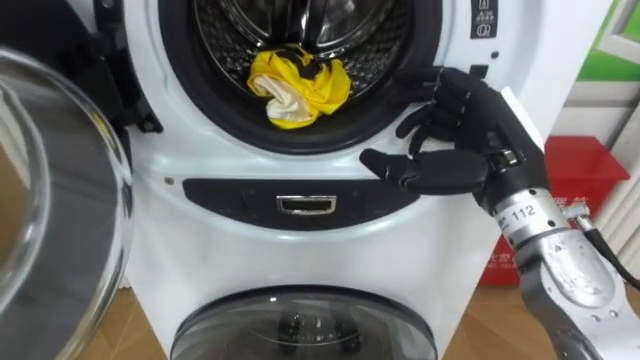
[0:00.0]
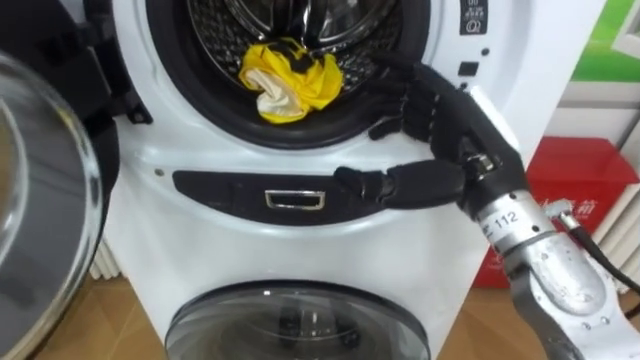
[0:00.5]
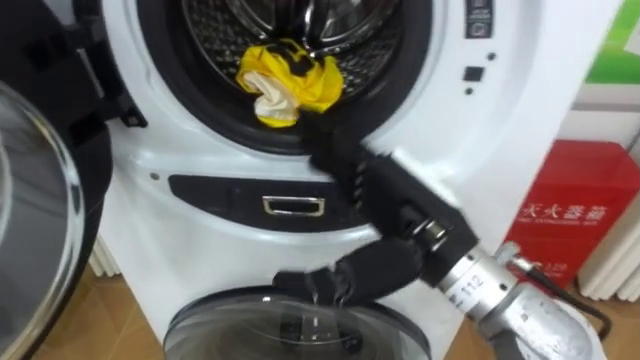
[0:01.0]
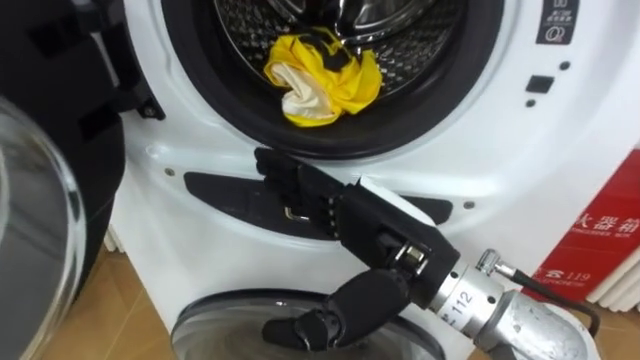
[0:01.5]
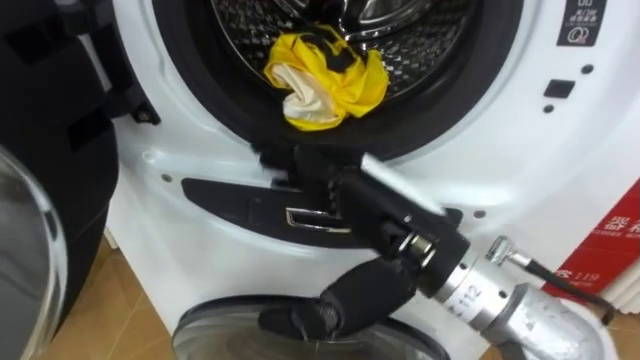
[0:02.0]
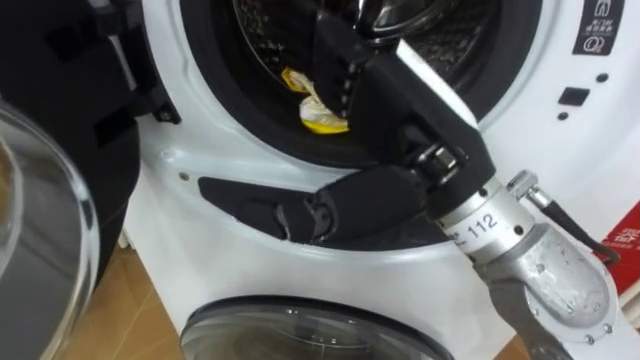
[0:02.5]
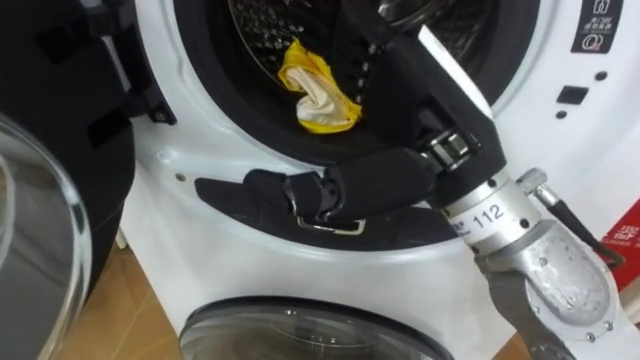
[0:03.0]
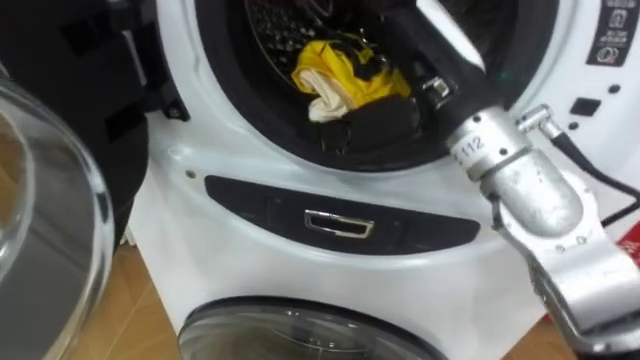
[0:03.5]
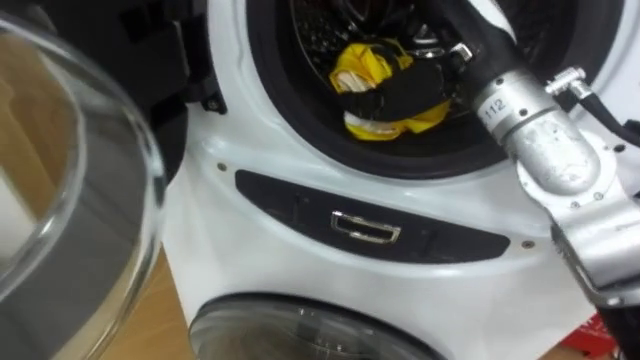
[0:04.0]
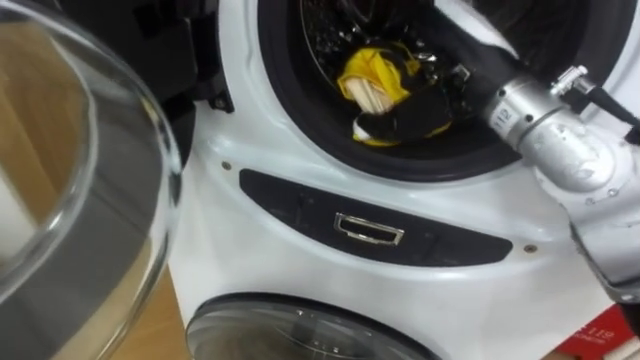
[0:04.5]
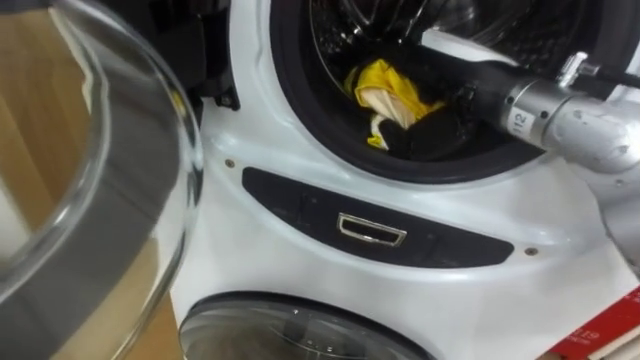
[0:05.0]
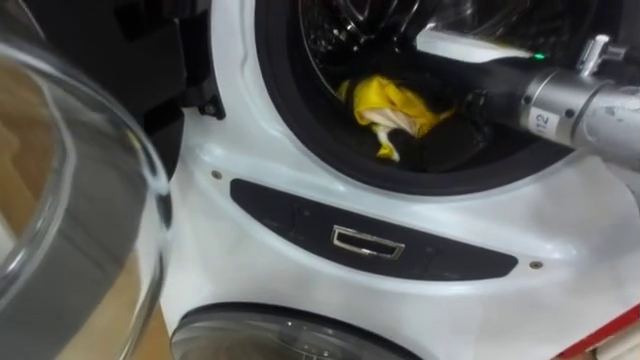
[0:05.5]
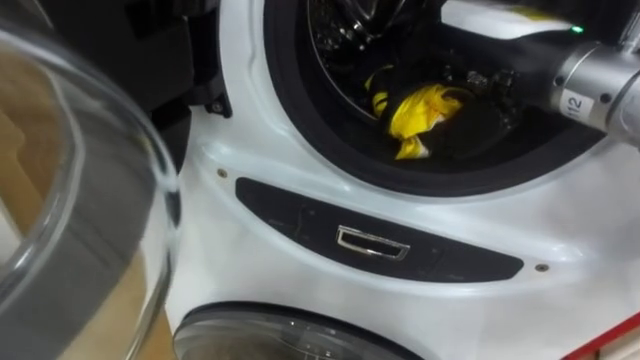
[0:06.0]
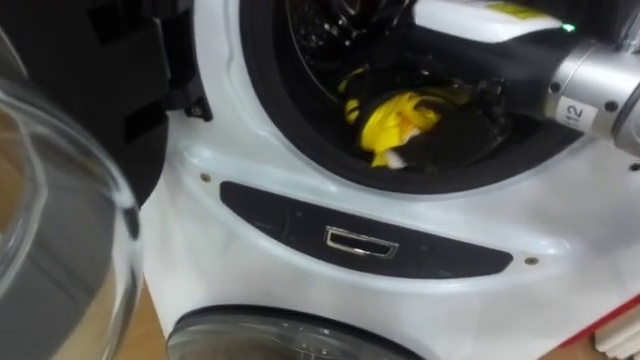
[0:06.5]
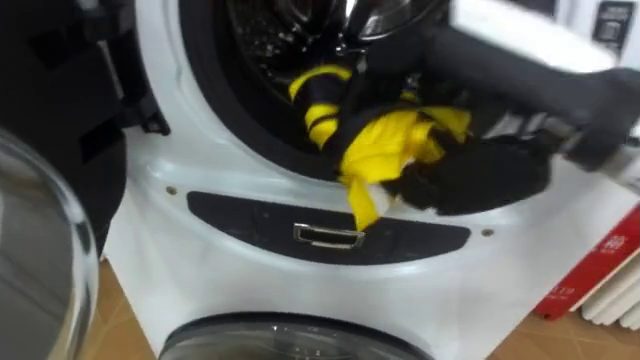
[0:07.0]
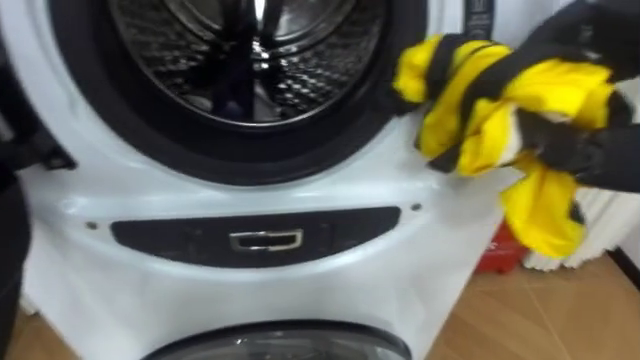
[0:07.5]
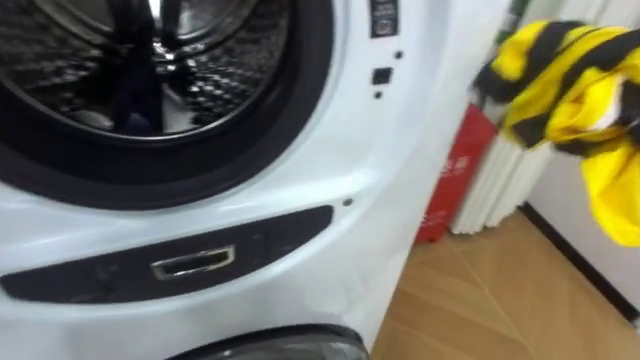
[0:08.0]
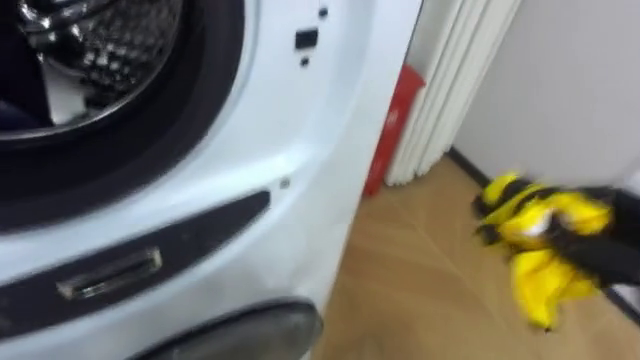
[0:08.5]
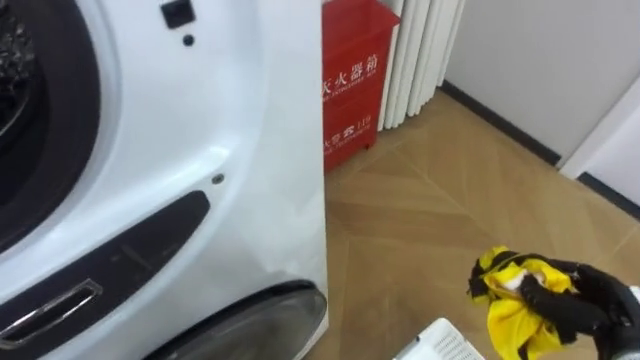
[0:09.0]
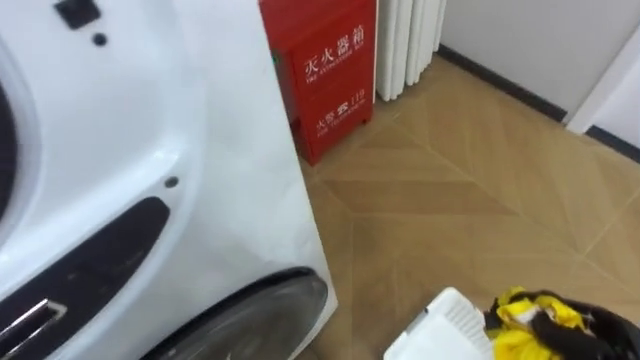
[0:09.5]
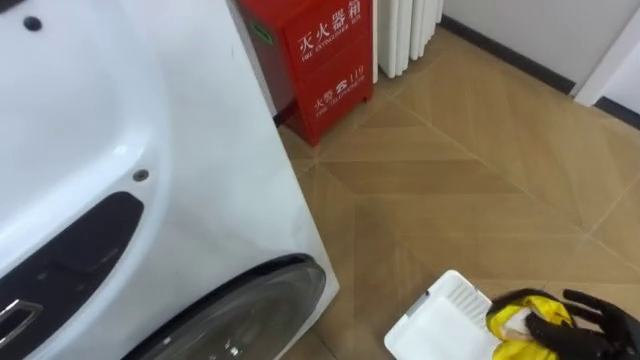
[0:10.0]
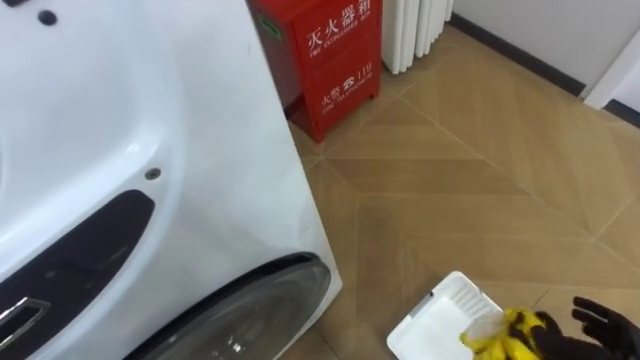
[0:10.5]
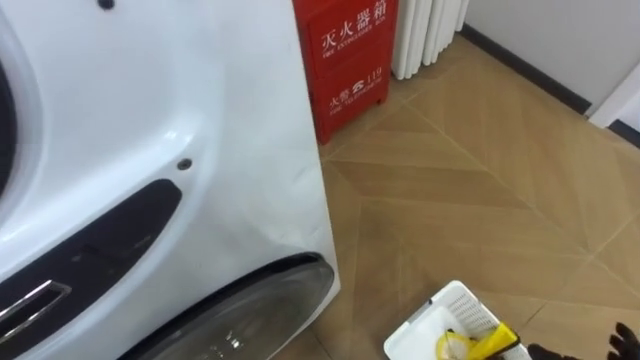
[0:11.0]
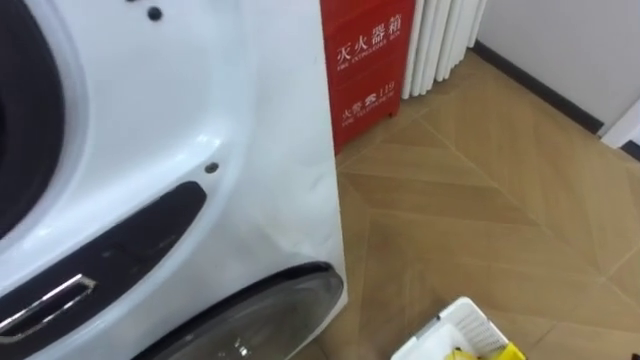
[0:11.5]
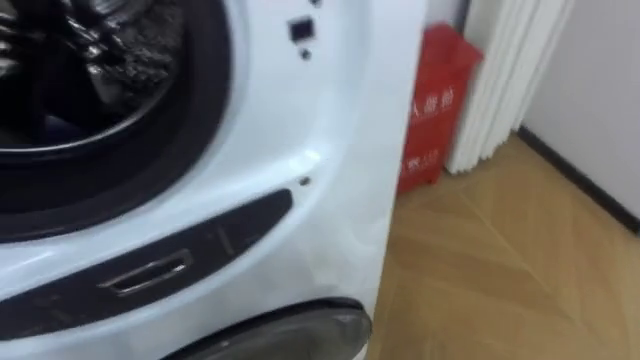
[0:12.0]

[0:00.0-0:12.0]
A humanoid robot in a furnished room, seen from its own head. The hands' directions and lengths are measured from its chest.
Task of the whole recording: Open the washing machine door, take out the yellow clothes, place them in the box on the right, and close the washing machine door.
0:00.0 to 0:02.0: The right hand heads to the left and backward, covering some 15 cm.
0:02.0 to 0:04.0: The right hand moves forward, upward and to the right, about 15 cm.
0:04.0 to 0:06.0: The right hand closes.
0:08.0 to 0:10.0: The robot turns to its right by approximately 20 degrees.

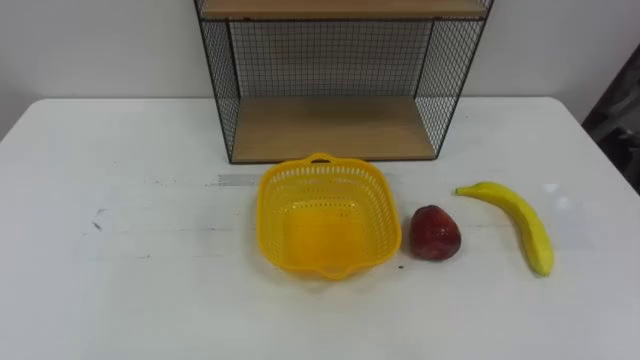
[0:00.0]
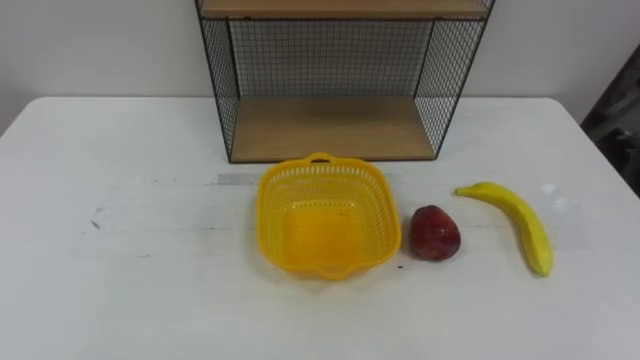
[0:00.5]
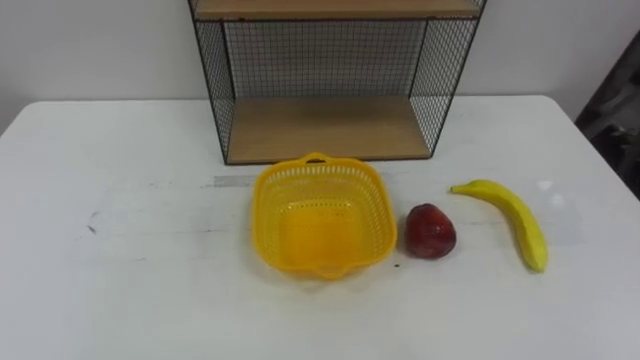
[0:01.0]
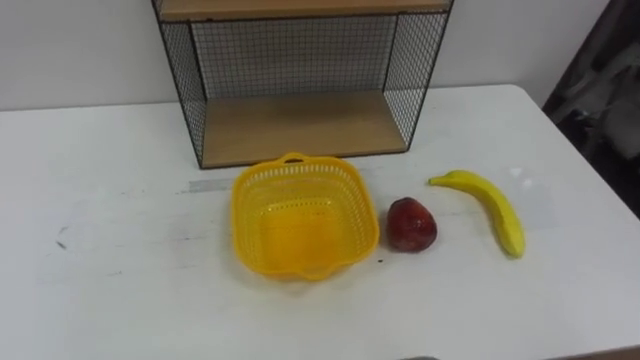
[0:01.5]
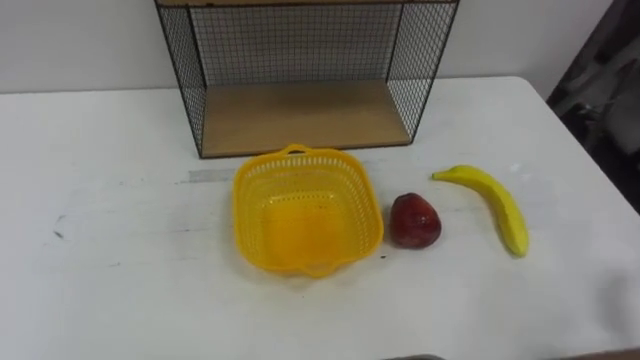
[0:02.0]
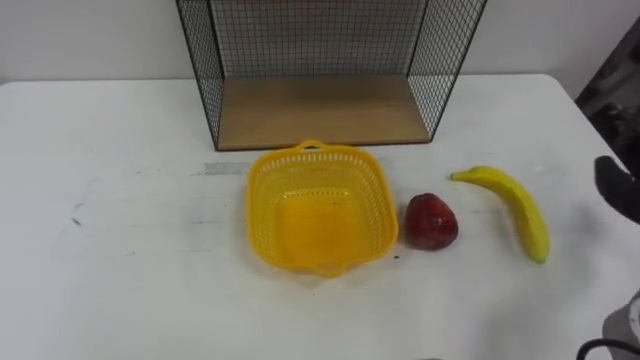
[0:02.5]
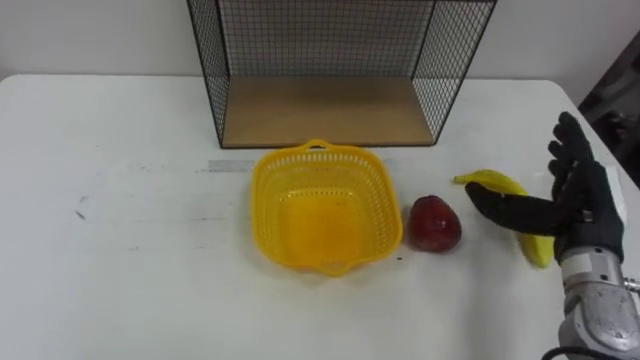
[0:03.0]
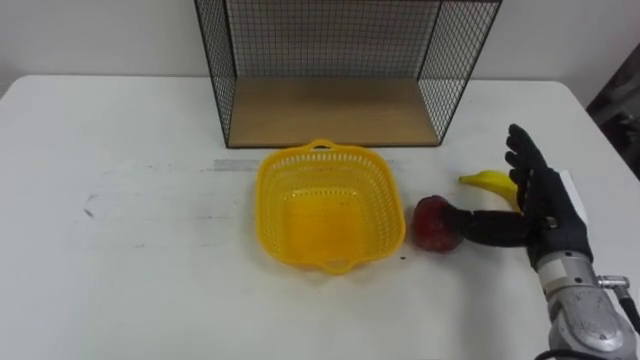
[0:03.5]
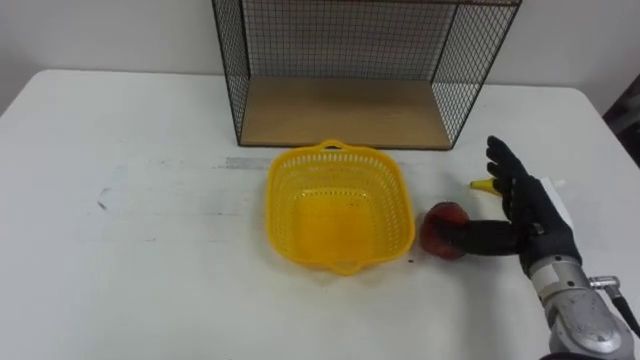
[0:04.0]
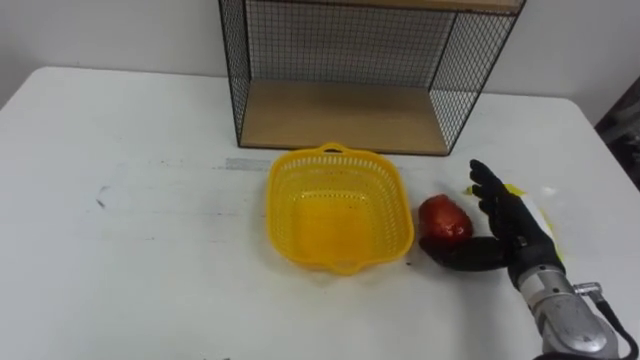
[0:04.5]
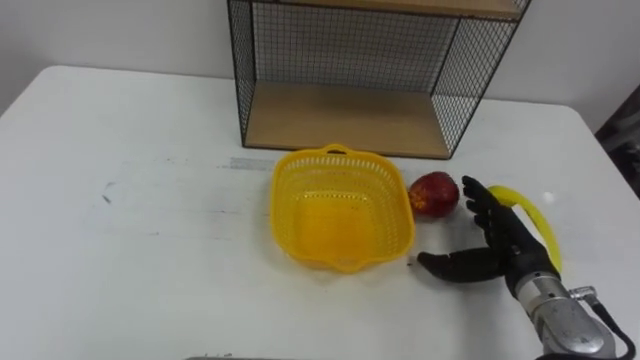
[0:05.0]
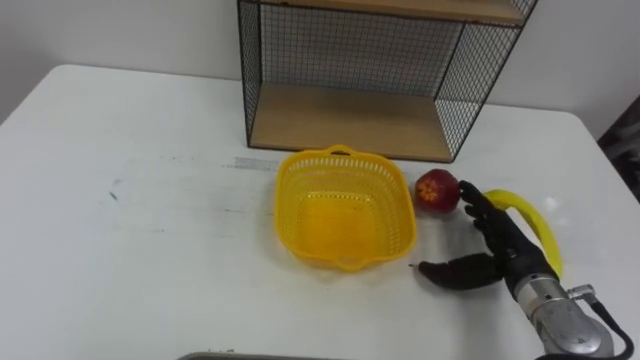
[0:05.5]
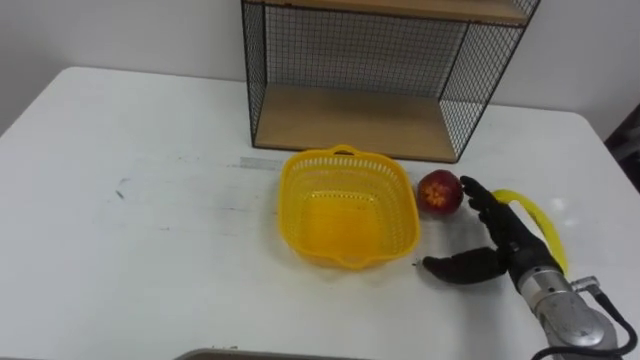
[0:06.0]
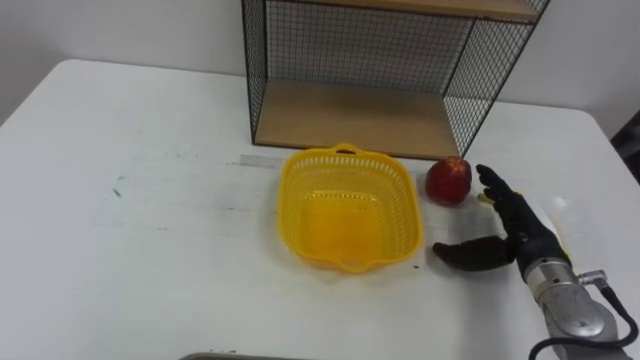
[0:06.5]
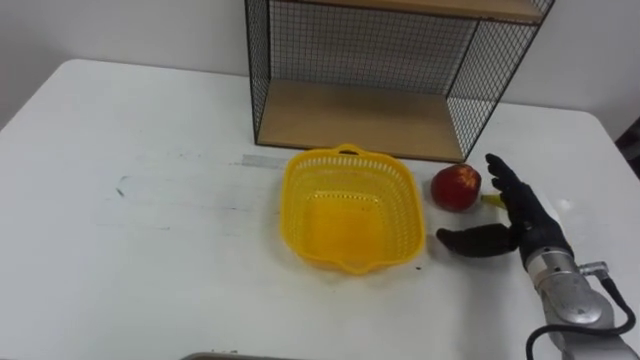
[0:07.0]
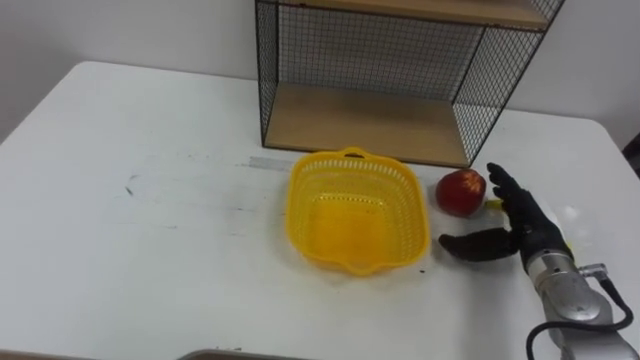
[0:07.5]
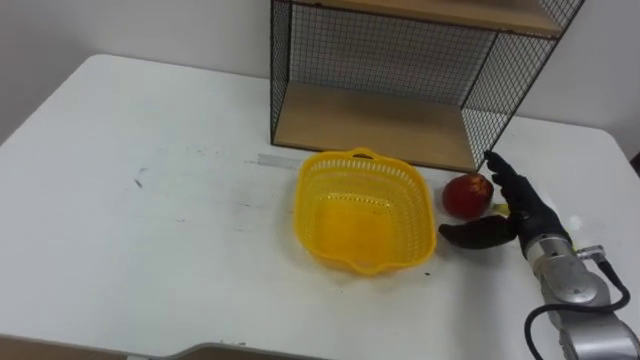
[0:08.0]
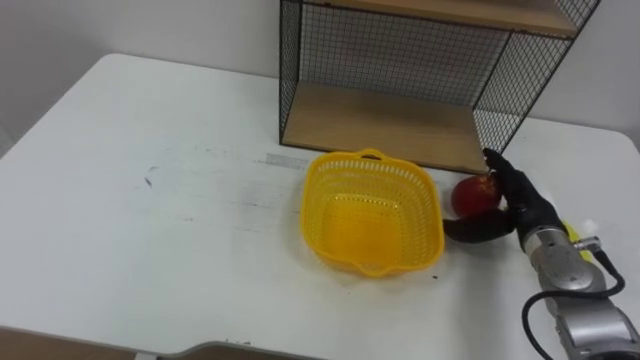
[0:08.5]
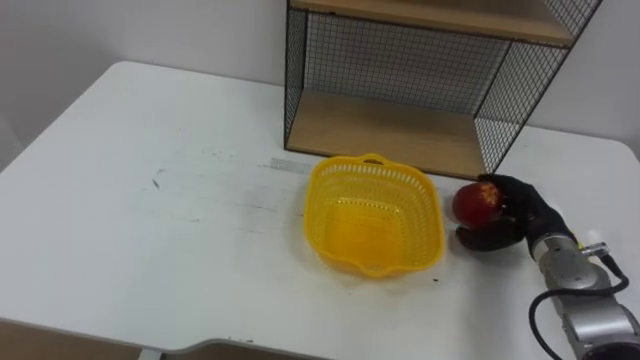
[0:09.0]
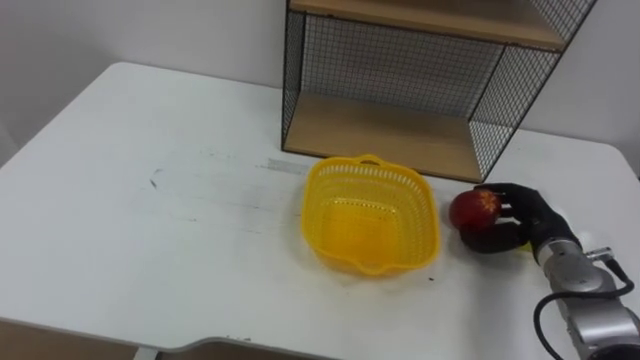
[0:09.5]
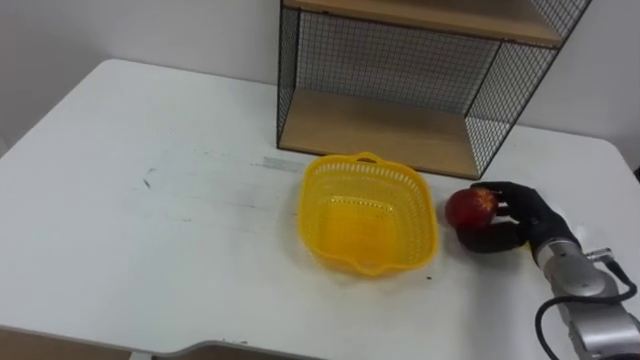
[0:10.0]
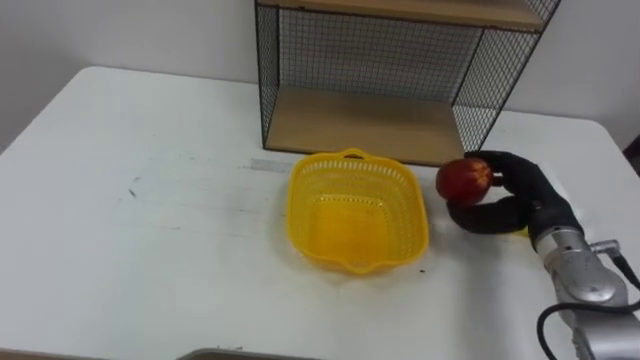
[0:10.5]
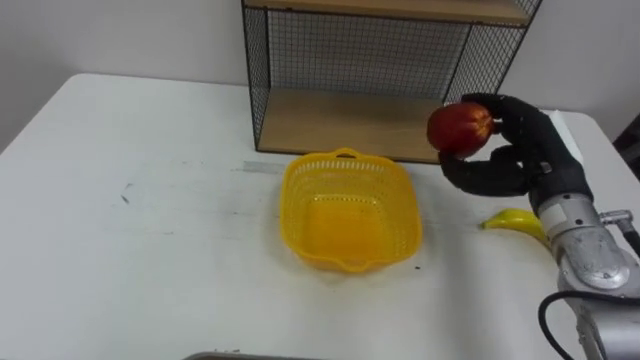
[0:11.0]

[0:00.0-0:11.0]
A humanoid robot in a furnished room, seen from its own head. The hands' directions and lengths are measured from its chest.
Task of the whole recording: Put the fruit on the table into the basket, then place the basket on the shelf.
0:03.5 to 0:05.5: The right hand travels downward by some 5 cm.
0:09.0 to 0:11.0: The right hand travels upward by approximately 10 cm.
